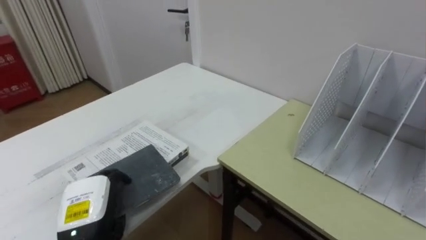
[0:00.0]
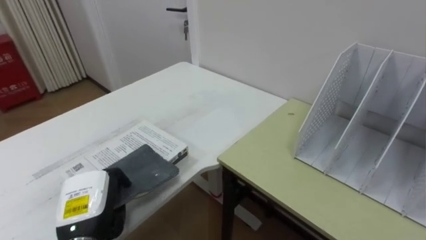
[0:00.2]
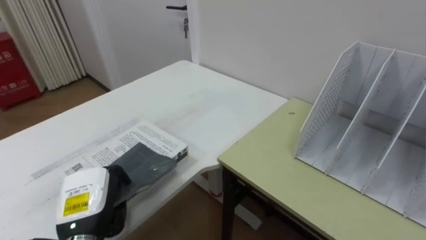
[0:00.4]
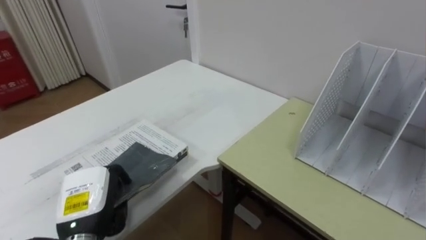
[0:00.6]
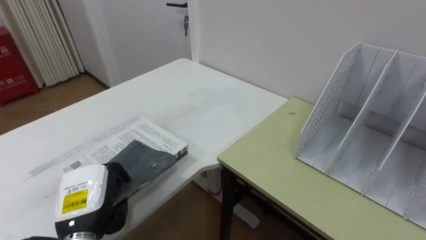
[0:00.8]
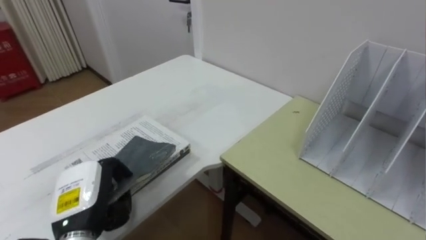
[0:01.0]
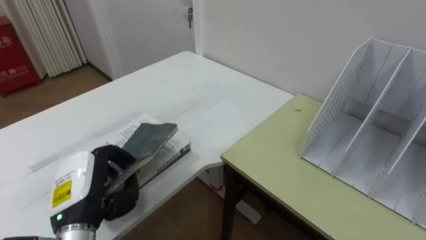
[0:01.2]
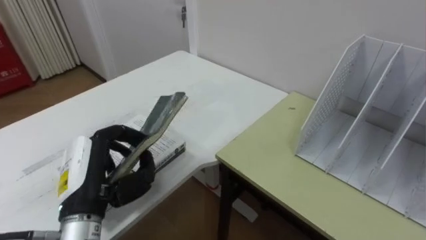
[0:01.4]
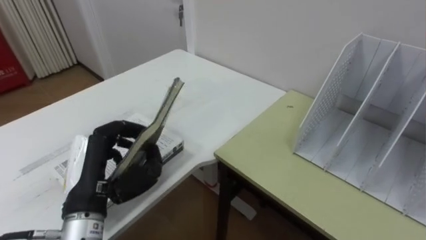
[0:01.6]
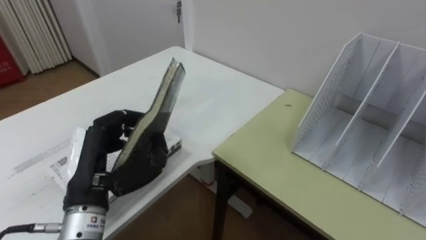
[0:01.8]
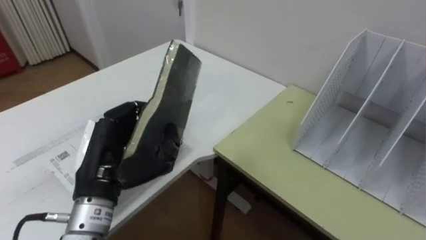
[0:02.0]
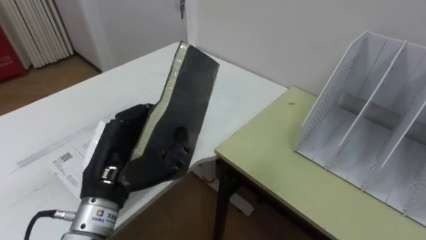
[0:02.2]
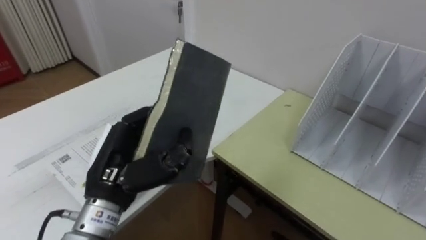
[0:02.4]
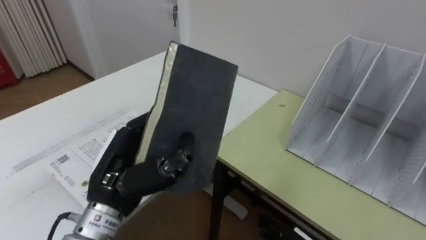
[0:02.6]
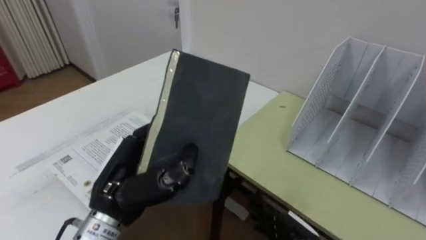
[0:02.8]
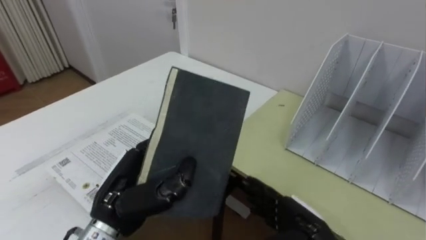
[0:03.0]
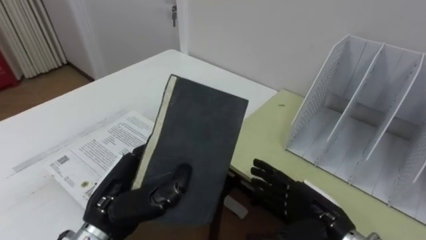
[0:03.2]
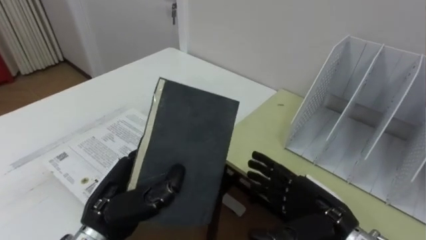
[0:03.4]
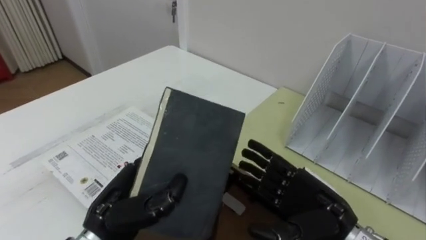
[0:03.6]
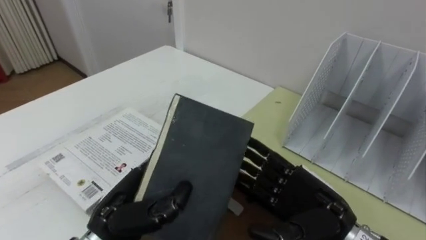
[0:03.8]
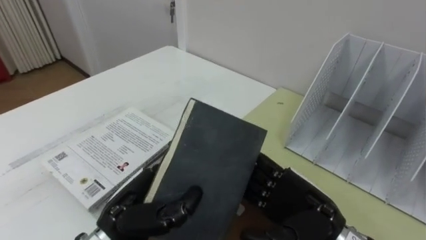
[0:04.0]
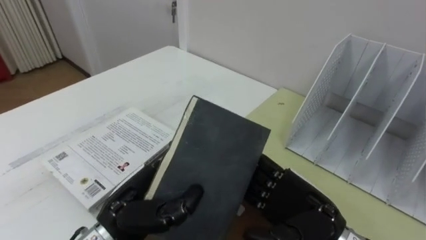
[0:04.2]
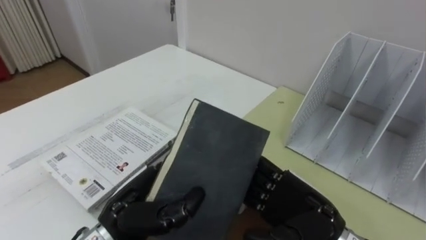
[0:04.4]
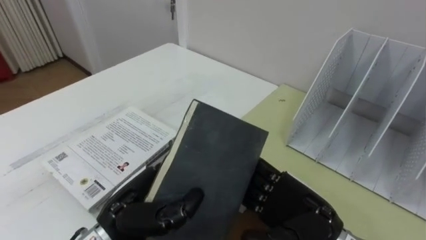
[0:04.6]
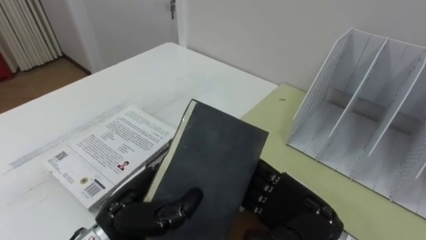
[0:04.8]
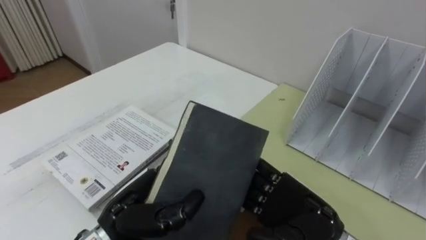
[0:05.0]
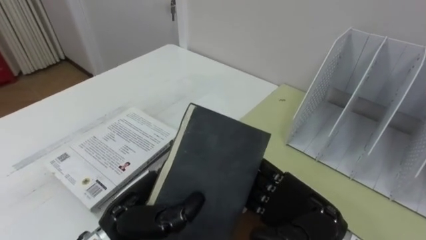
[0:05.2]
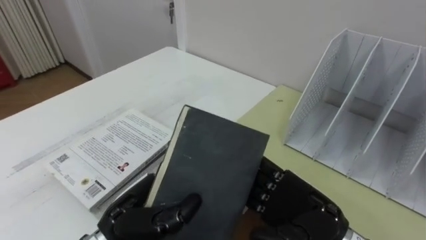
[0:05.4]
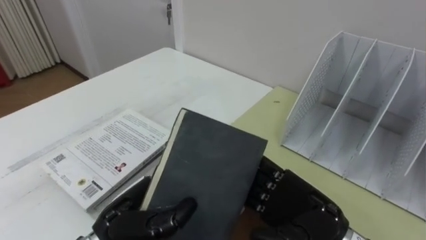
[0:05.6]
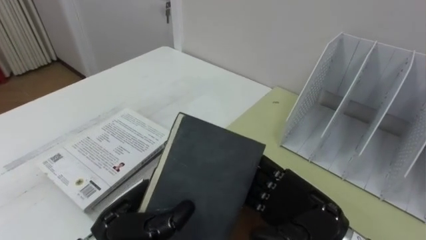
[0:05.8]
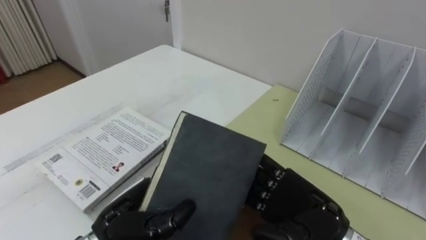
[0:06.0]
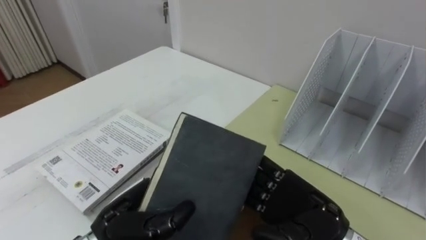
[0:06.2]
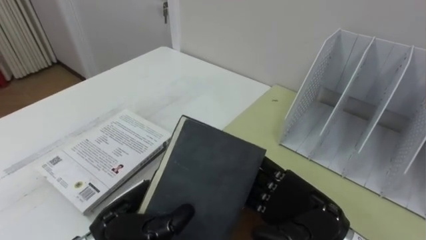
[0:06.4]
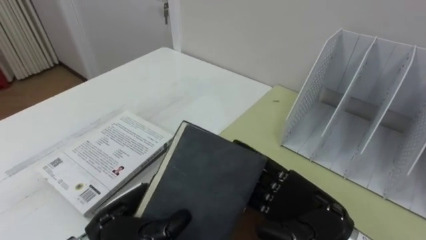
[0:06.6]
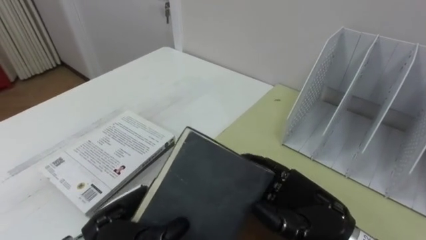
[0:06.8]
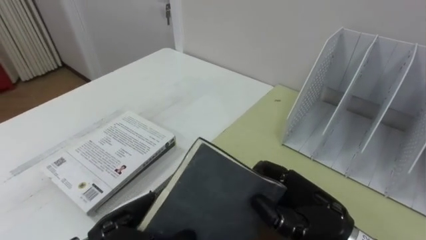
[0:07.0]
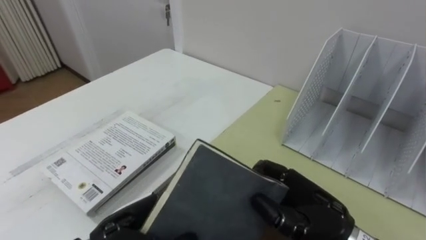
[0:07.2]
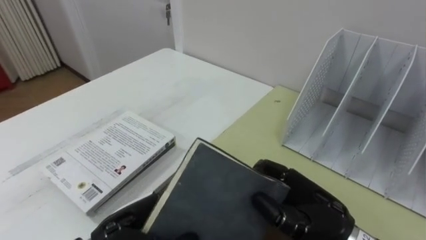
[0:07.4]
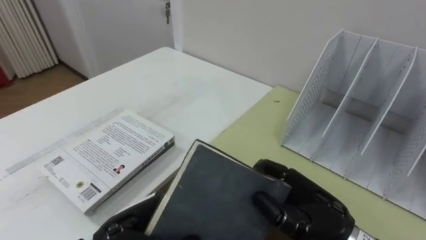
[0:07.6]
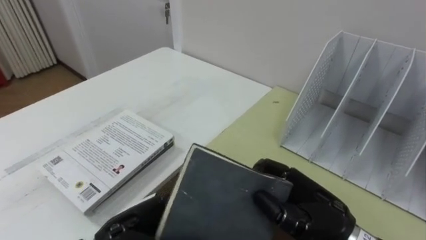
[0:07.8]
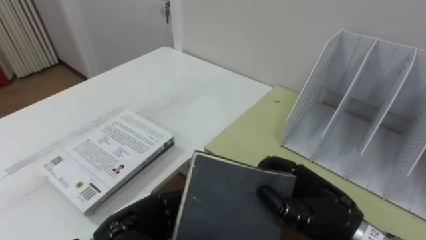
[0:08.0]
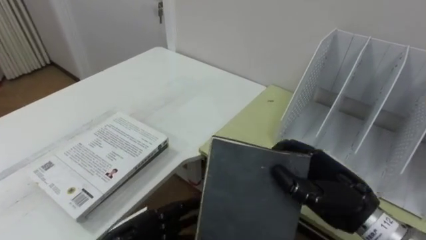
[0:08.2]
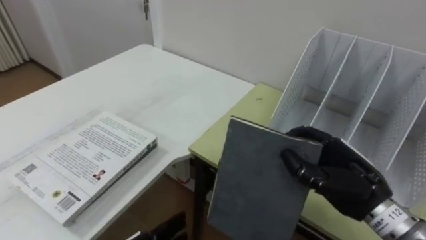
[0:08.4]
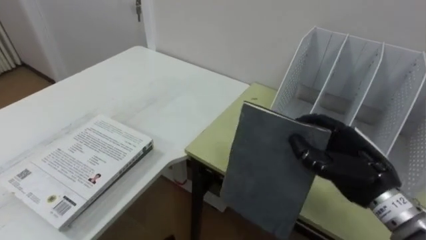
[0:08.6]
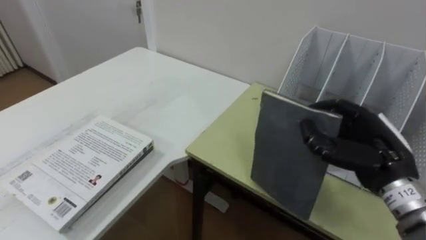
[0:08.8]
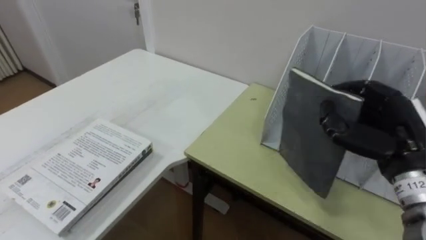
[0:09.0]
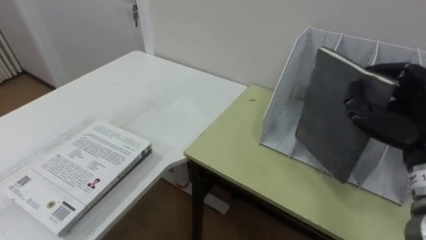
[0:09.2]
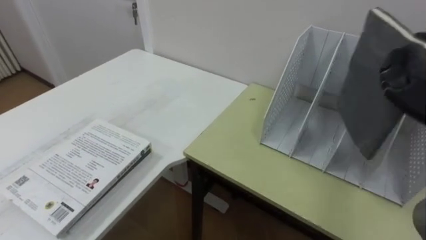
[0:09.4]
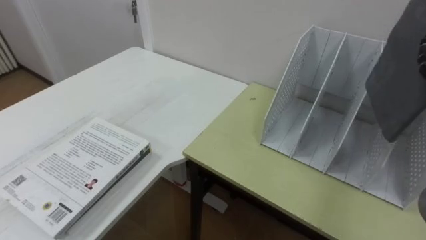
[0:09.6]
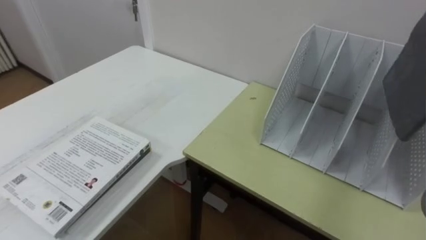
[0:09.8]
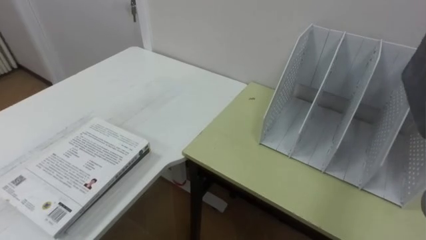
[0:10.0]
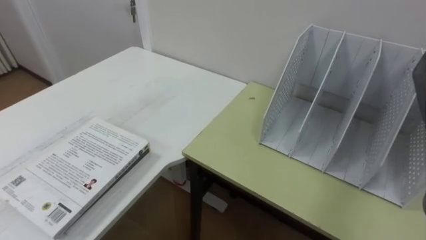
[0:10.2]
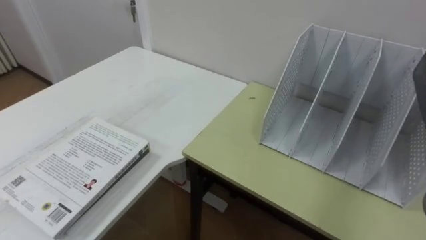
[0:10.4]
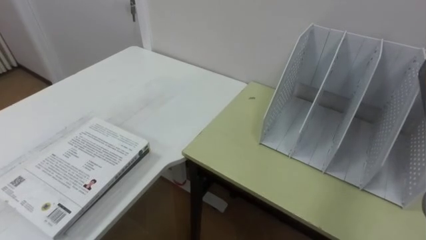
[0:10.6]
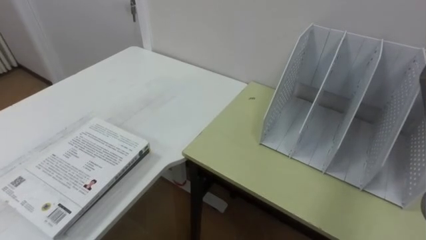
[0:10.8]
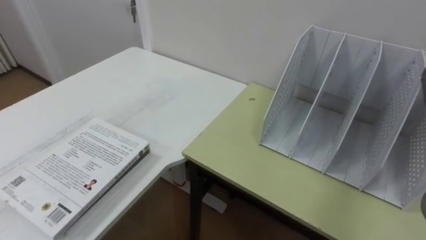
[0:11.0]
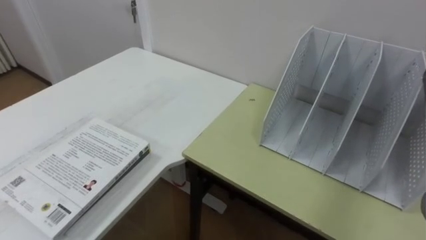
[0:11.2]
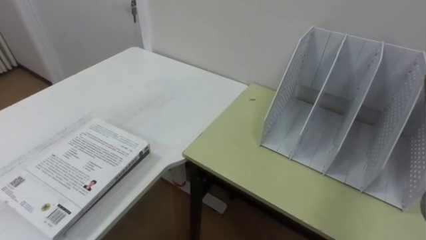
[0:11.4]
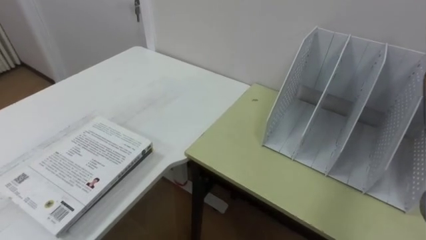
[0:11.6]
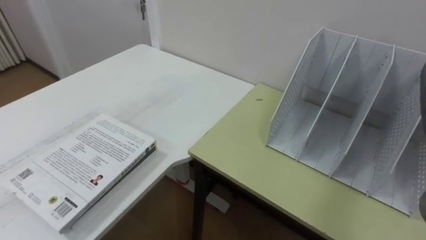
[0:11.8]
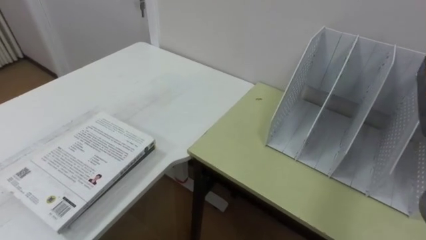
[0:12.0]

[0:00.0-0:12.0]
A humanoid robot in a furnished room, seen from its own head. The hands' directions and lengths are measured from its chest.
Task of the whole recording: Put the books on the table onto the bookshelf.
0:00.0 to 0:01.6: The left hand shifts approximately 10 cm upward.
0:01.6 to 0:03.0: The left hand heads to the right, covering some 5 cm.
0:03.0 to 0:04.4: The right hand goes roughly 10 cm upward.
0:04.4 to 0:06.0: The hands make only small movements.
0:06.0 to 0:07.6: The right hand closes up.
0:07.6 to 0:09.0: The right hand is displaced to the right, upward and forward by about 15 cm.

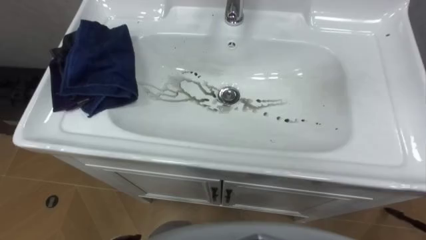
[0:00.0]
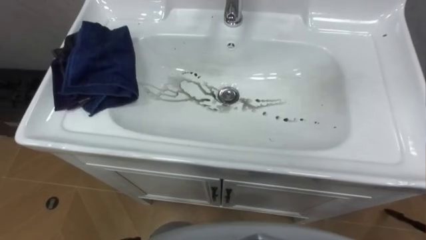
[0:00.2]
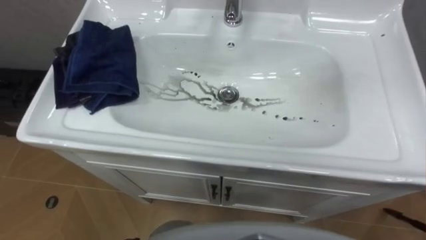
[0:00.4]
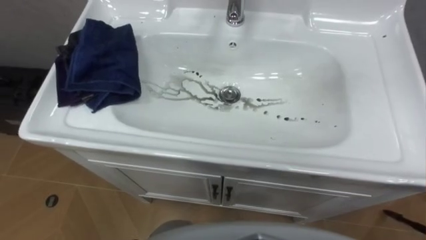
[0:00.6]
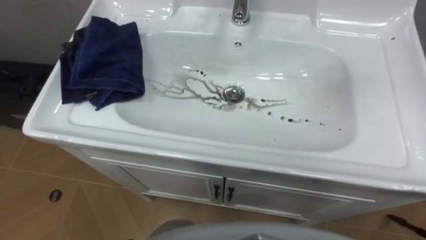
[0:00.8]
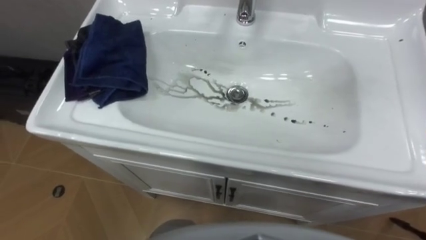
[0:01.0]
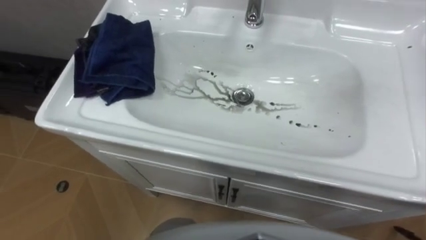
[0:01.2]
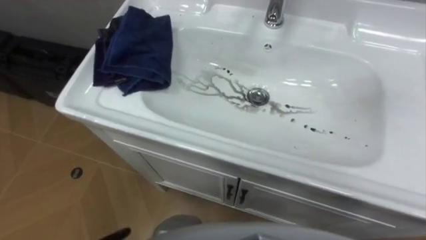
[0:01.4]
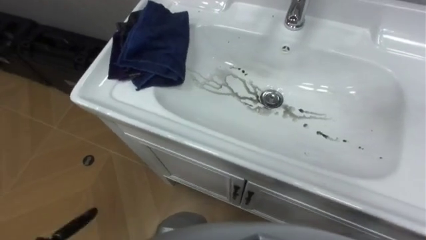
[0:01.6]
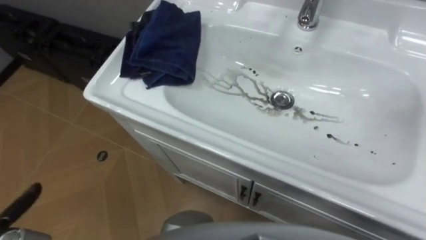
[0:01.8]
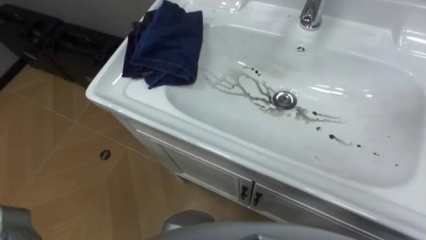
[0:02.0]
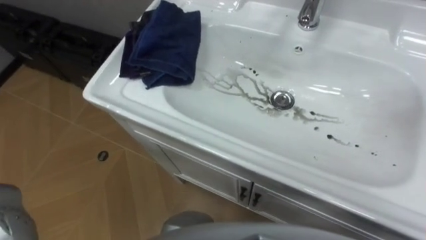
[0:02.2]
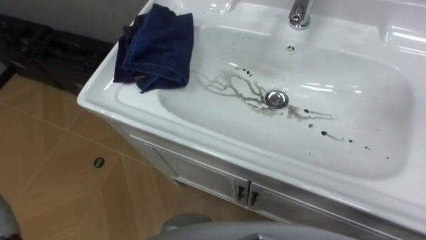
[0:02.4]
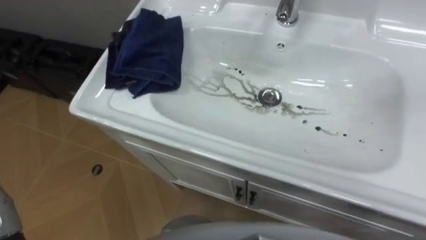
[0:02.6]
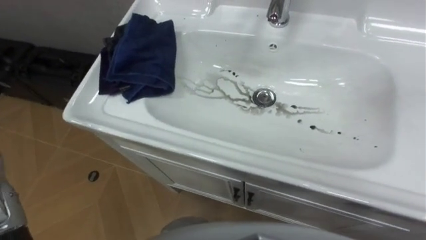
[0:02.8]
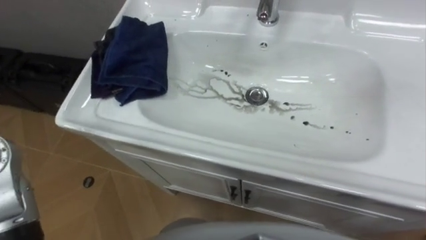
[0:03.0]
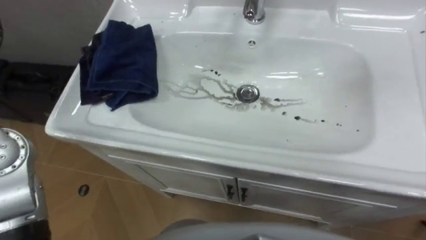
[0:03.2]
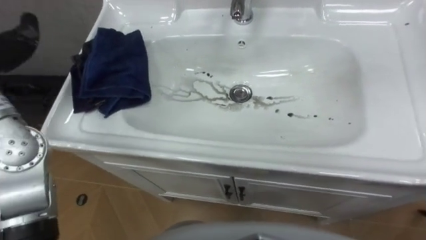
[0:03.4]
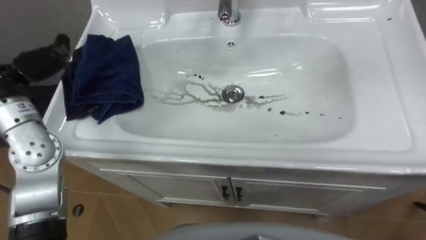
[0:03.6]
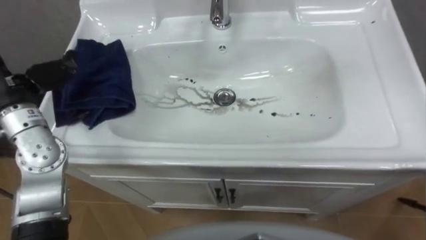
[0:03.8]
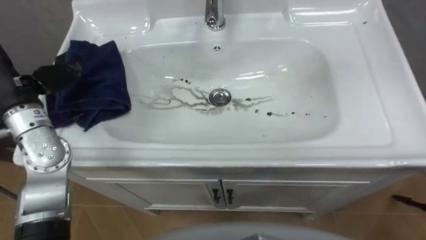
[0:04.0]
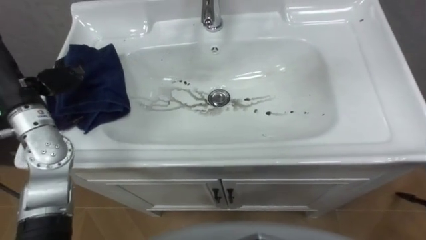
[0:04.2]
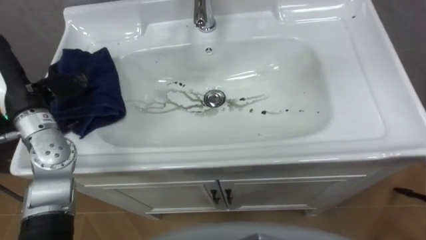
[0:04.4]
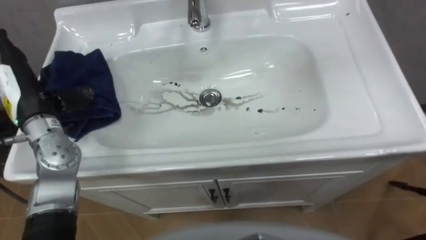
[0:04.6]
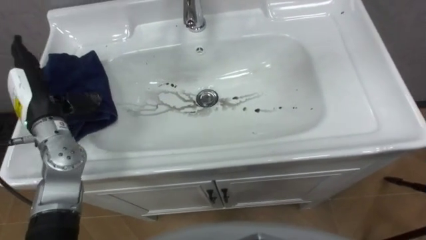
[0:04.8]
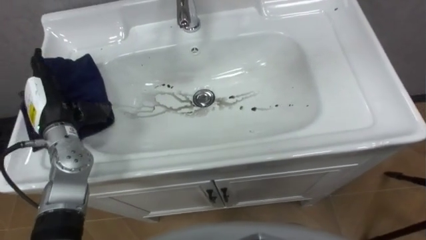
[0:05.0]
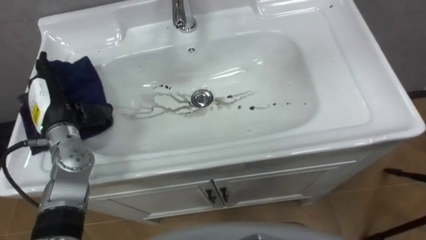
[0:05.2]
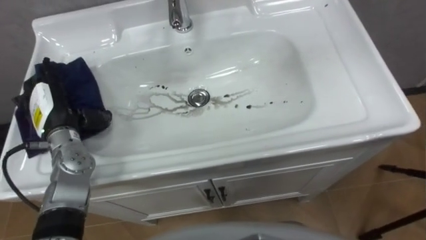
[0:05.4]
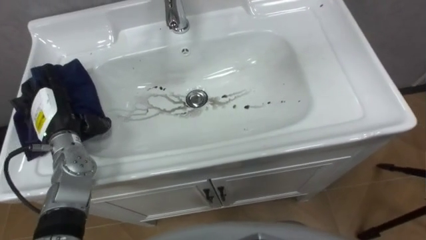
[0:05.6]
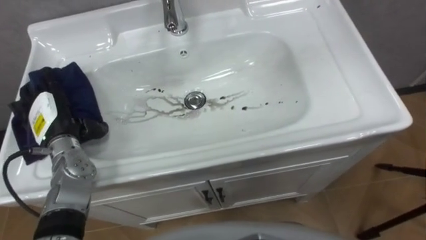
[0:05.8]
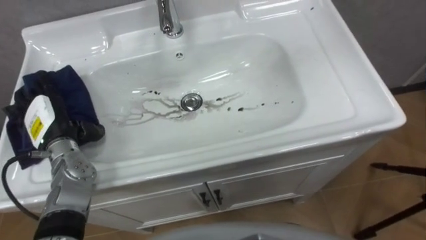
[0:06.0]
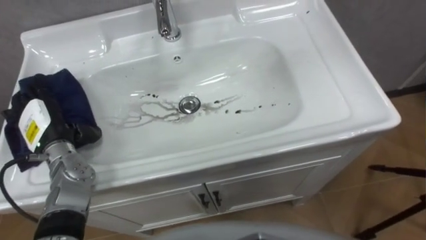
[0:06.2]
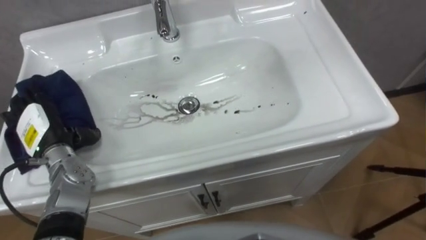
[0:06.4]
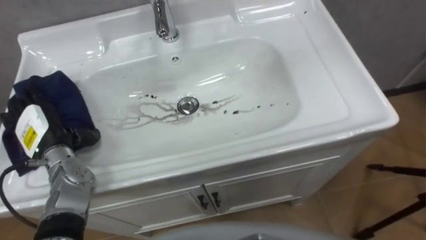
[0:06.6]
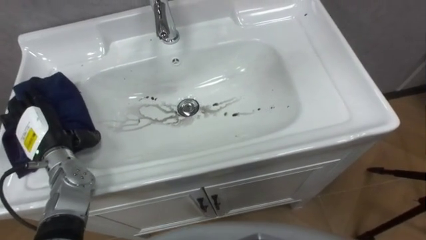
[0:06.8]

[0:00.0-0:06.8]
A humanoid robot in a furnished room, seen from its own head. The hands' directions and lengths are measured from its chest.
Task of the whole recording: Use the cloth on the right to wipe away the black stain in the sink.
0:05.4 to 0:06.8: The left hand shifts by some 5 cm.
